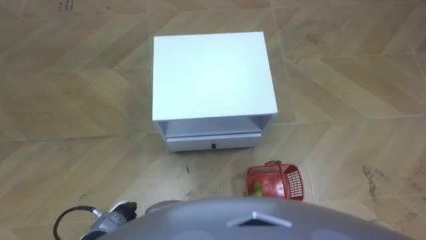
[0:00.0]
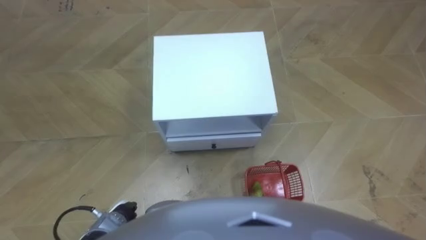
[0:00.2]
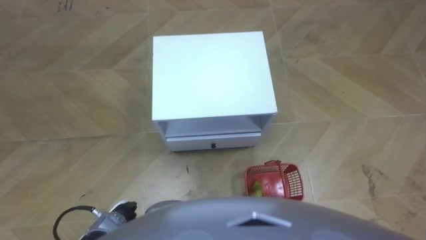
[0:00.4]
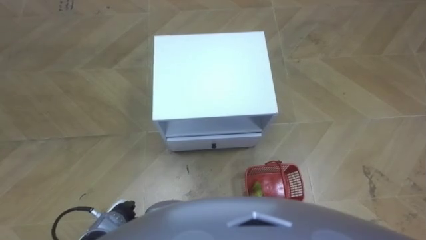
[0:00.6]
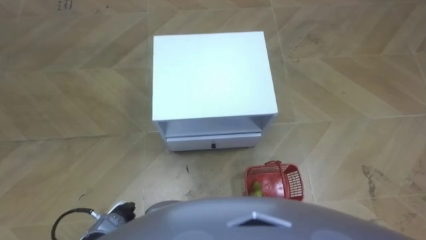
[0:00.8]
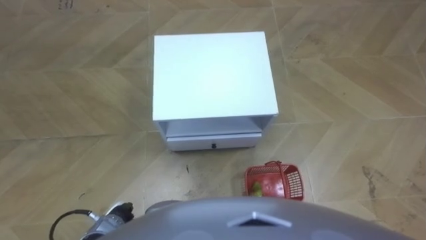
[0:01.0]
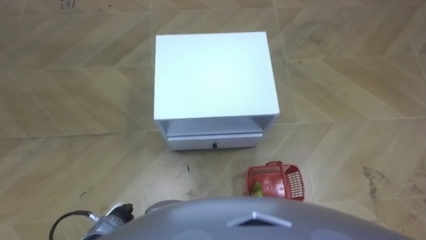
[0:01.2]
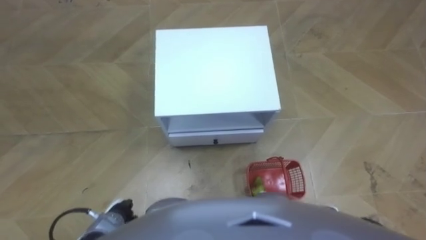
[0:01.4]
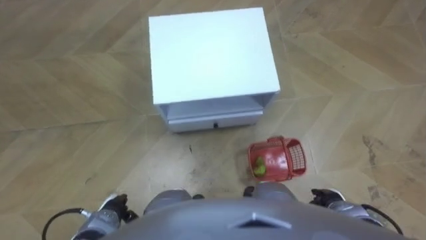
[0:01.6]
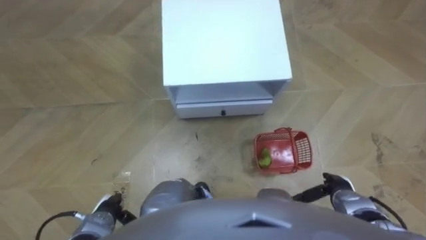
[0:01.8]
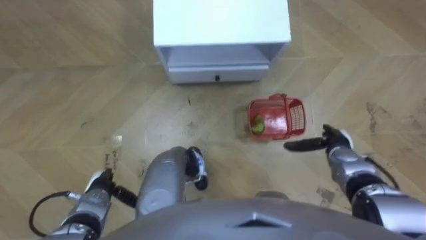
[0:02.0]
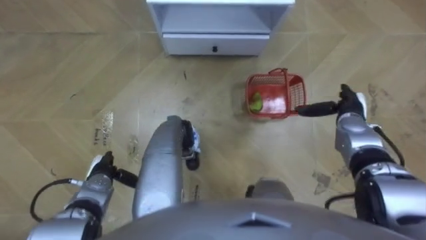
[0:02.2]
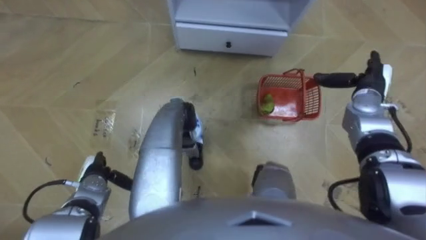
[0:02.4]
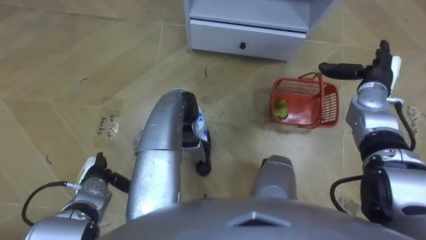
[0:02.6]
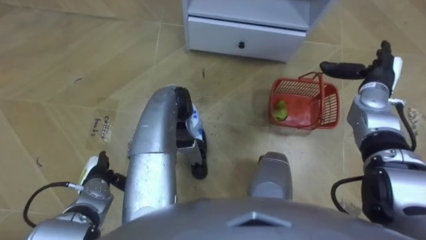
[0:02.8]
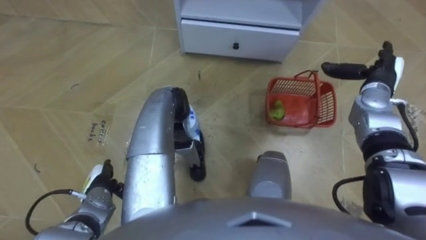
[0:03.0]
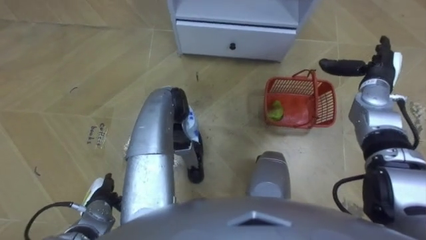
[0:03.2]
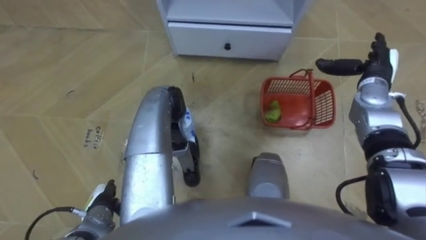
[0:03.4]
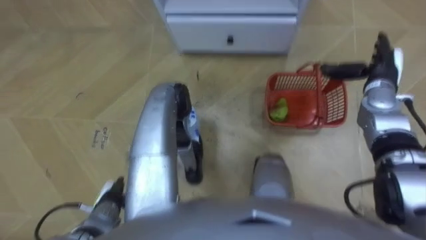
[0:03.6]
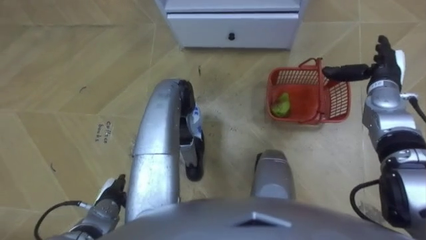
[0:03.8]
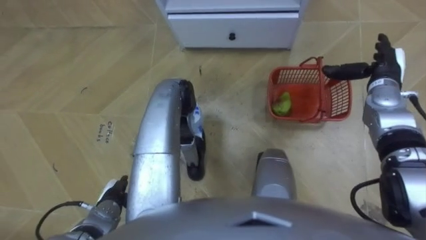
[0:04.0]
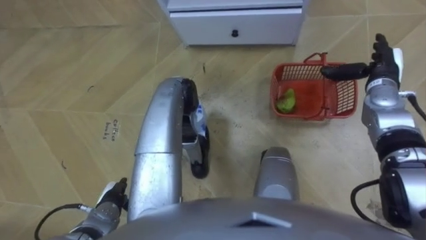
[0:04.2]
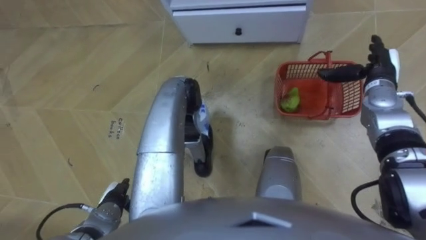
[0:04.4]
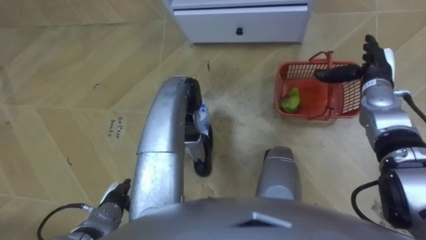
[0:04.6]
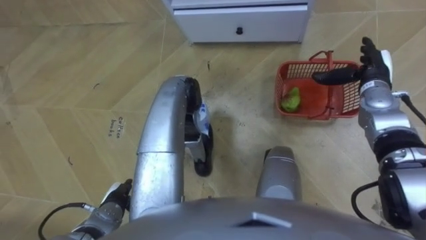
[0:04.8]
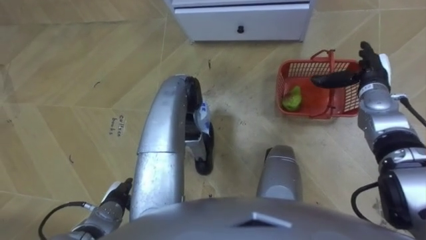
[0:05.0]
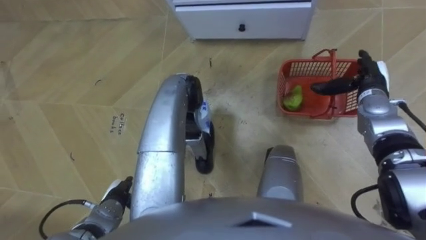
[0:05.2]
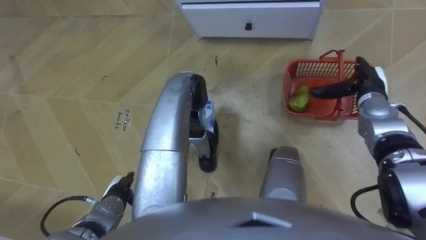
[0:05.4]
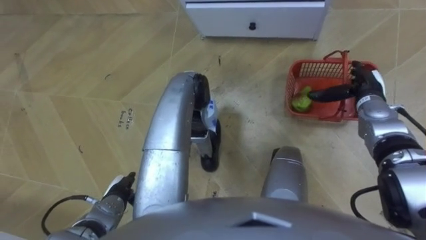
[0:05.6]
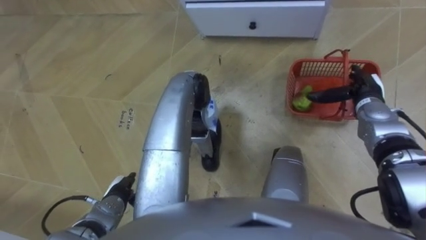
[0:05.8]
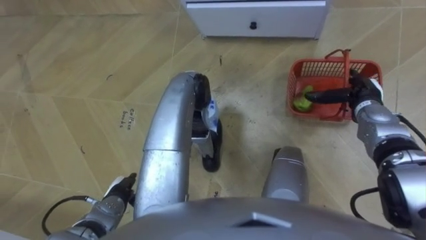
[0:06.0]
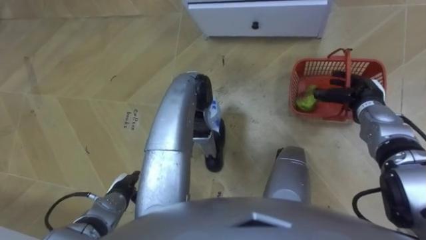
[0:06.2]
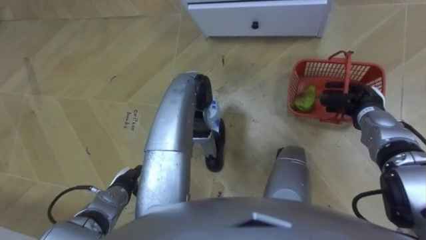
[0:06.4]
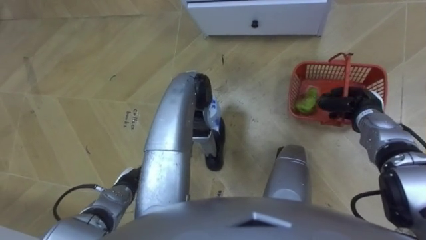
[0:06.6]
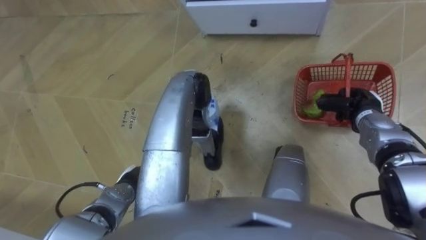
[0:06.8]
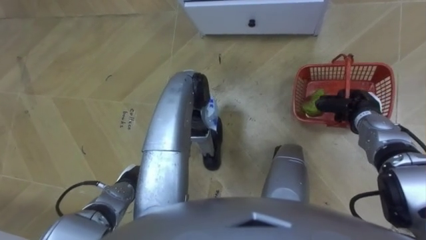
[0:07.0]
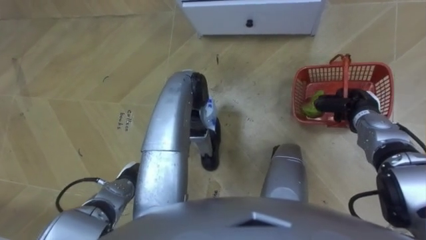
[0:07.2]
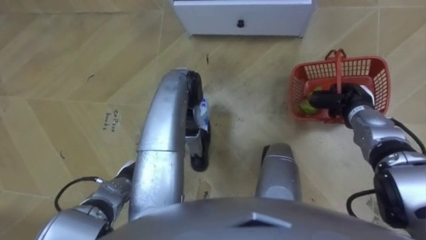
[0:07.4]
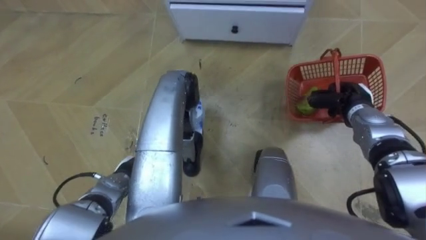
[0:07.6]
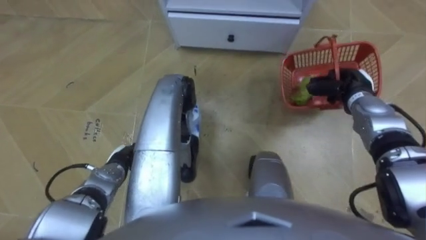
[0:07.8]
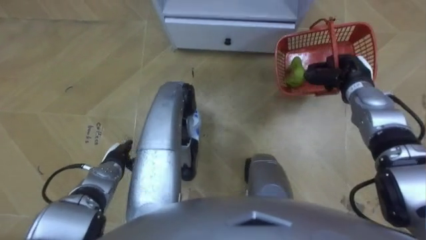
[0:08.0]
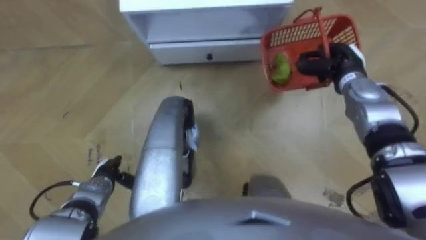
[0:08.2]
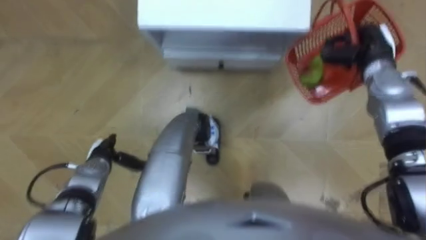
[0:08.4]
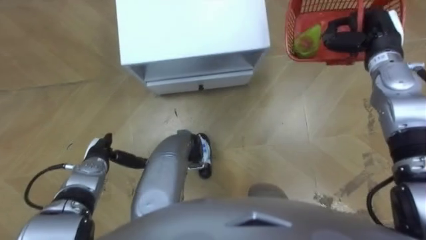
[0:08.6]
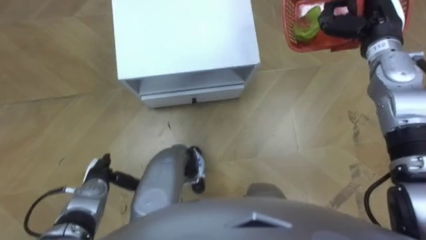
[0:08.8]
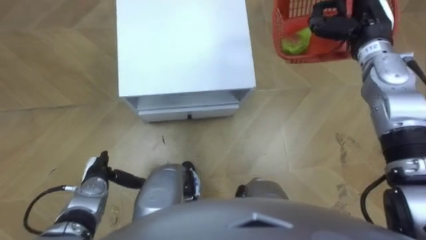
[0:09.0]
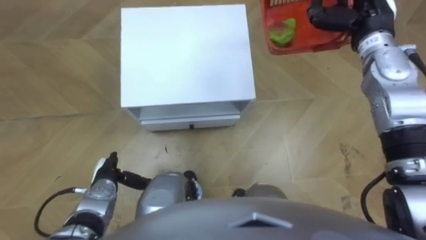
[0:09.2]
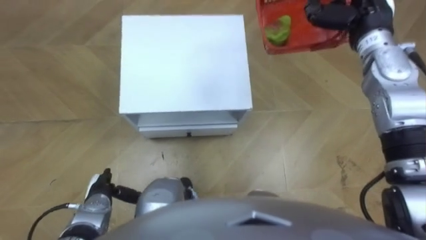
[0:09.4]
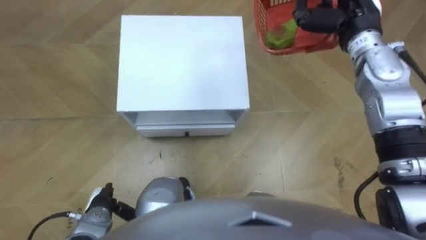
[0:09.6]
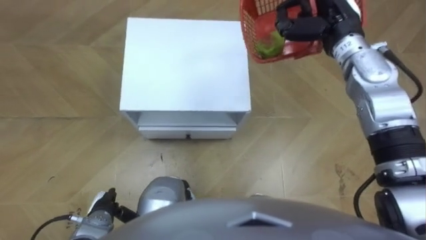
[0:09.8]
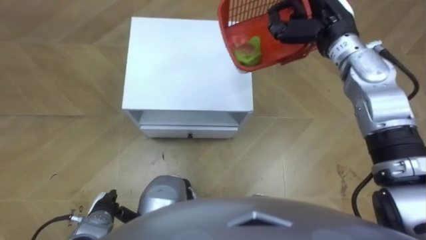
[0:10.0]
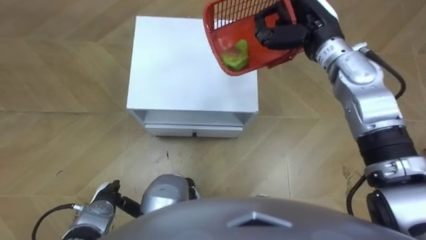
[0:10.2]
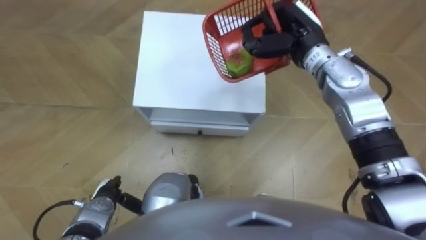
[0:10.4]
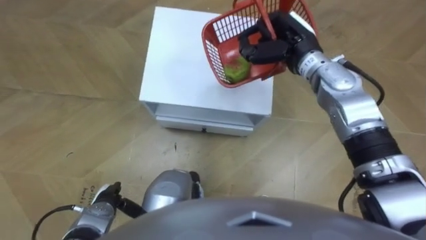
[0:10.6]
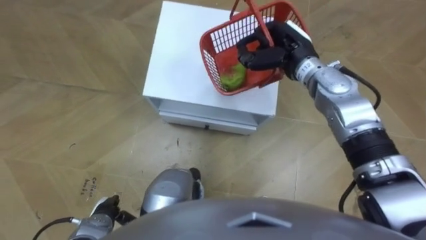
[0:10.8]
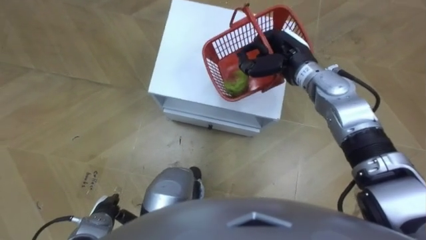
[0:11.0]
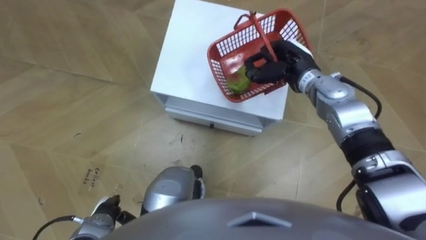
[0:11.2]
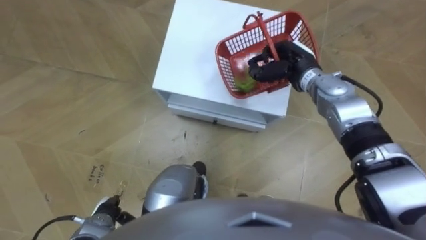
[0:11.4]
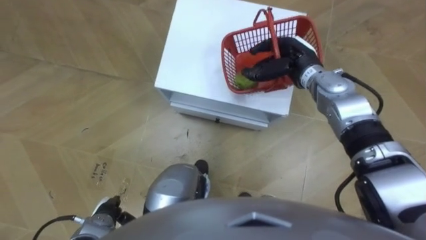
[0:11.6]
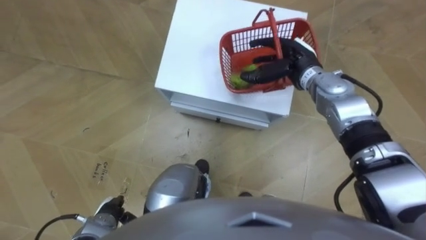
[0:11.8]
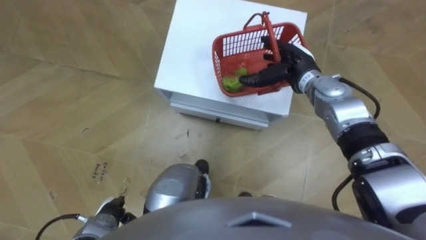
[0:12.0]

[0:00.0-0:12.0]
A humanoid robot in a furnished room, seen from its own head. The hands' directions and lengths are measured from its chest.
Task of the whole recording: Pick up the fruit basket from the floor and place it on the cabinet.
0:01.6 to 0:03.0: The robot faces roughly 15 degrees further to its left. The right hand shifts some 30 cm forward and upward; the left hand shifts roughly 5 cm forward.
0:03.0 to 0:04.4: The left hand moves roughly 5 cm.
0:04.4 to 0:06.0: The right hand ends up about 5 cm from where it was.
0:06.0 to 0:07.6: The right hand closes its fingers. The left hand is displaced forward by about 5 cm.
0:07.6 to 0:09.0: The left hand shifts roughly 5 cm to the left, while the right hand travels upward and forward by roughly 15 cm.
0:09.0 to 0:10.4: The left hand changes place by approximately 5 cm. Meanwhile the right hand heads to the left, covering some 10 cm.
0:10.4 to 0:12.0: The right hand shifts approximately 10 cm downward, and opens its fingers.

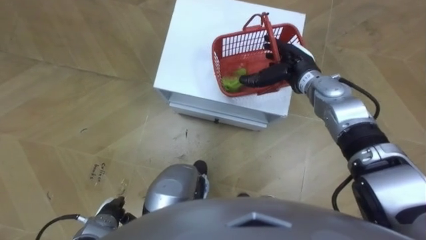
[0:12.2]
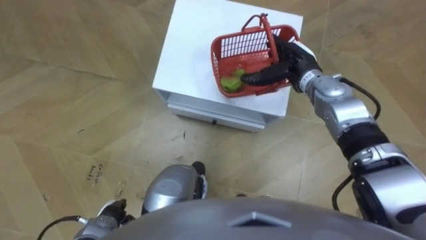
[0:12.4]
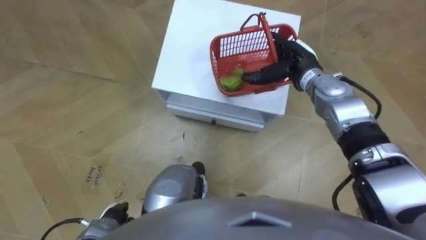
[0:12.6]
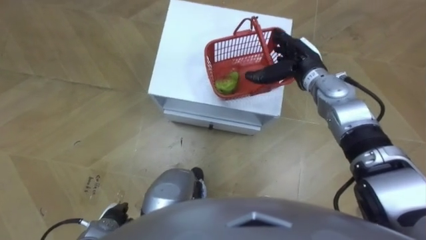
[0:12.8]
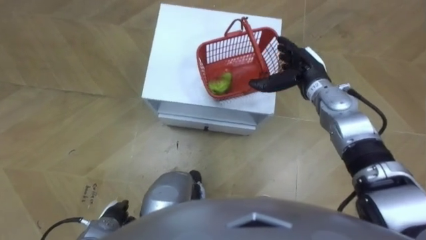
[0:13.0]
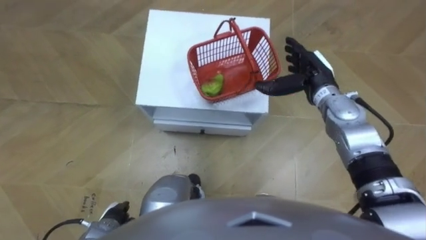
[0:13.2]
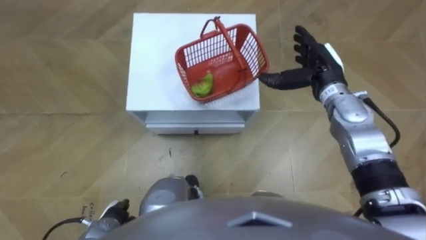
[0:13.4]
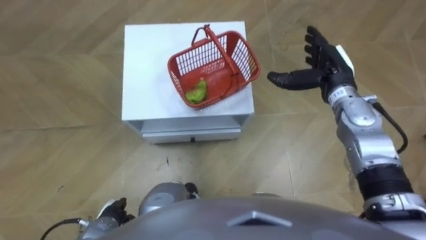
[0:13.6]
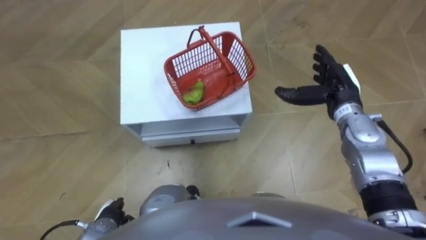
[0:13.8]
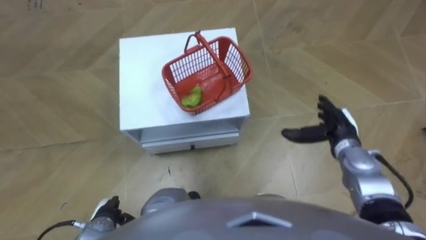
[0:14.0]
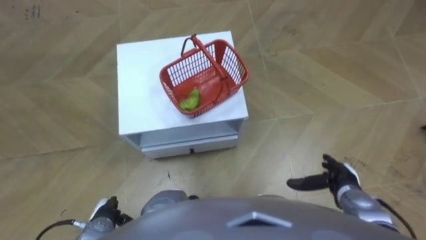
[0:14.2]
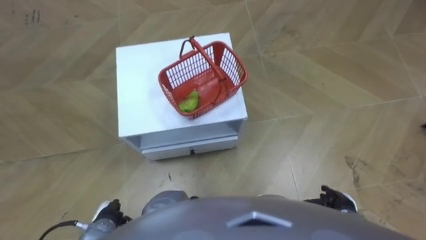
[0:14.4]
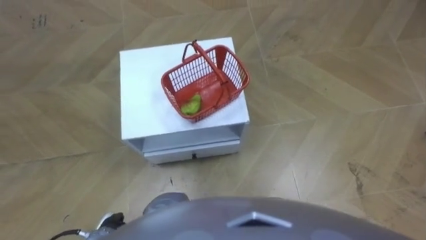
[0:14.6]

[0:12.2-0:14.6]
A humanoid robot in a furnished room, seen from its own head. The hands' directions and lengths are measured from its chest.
Task of the whole recording: Pick up the fruit basket from the floor and place it on the cabinet.
0:12.2 to 0:13.4: The right hand changes place by approximately 5 cm.
0:13.4 to 0:14.6: The right hand heads backward and downward, covering roughly 35 cm.

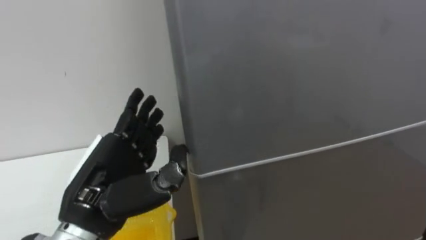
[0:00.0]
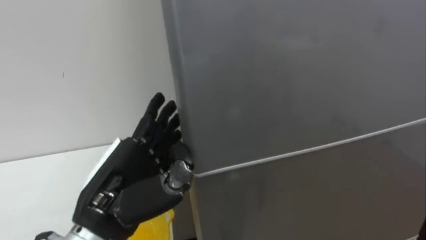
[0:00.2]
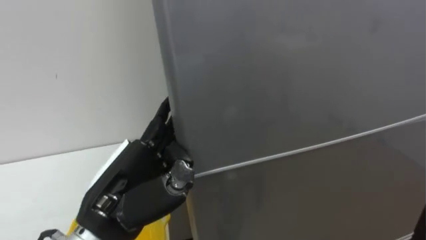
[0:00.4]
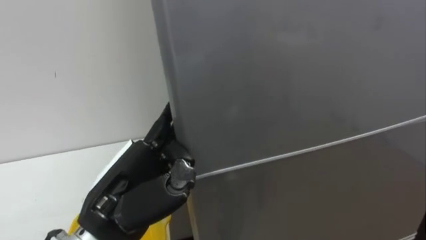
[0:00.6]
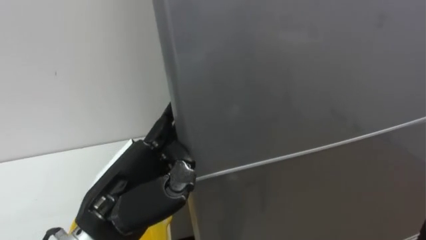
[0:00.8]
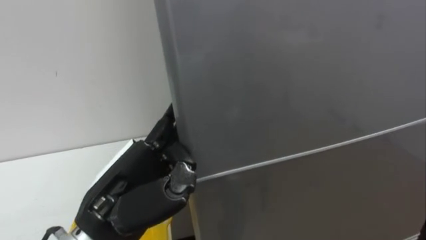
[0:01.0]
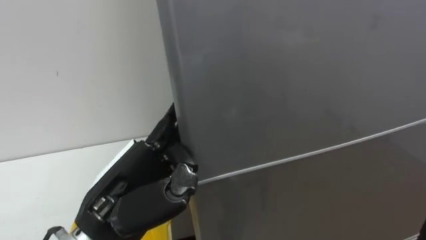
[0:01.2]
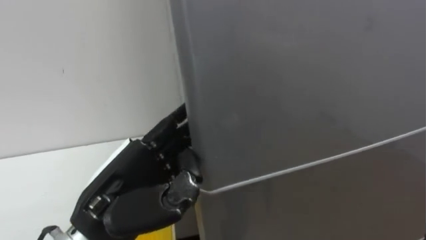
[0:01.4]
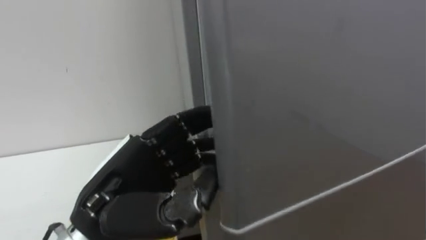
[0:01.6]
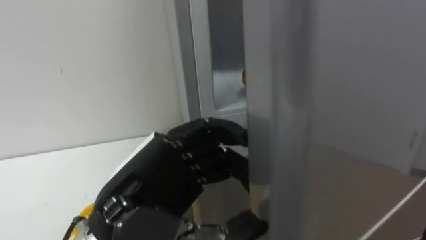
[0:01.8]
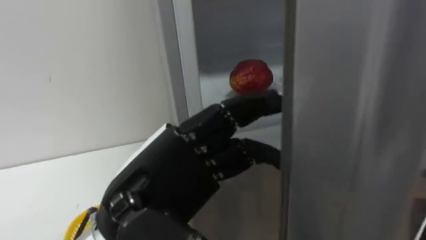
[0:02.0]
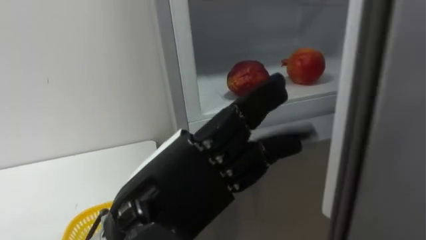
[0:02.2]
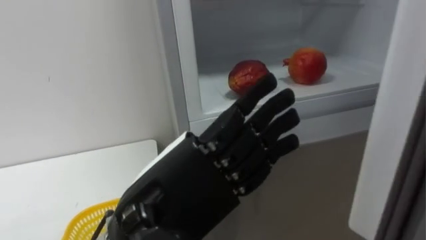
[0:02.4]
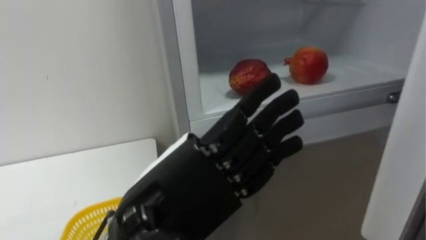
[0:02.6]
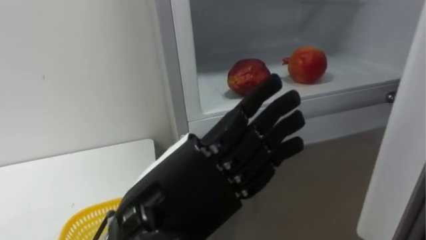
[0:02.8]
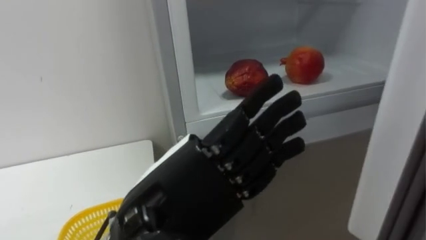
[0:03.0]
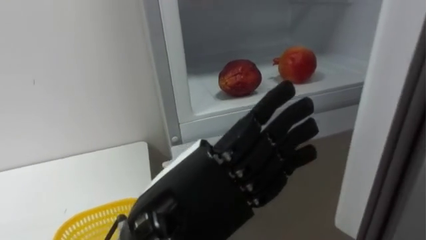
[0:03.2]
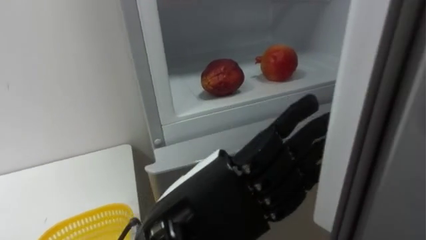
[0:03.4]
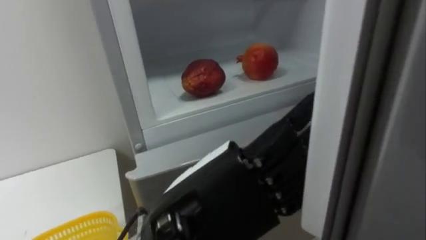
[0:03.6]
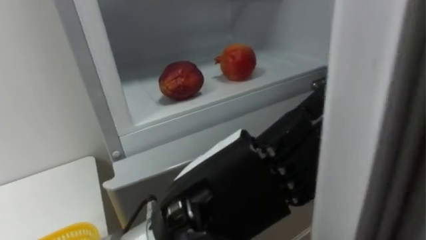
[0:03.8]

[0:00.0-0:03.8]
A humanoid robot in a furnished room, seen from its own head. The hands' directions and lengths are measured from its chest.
Task of the whole recording: Open the refrigerator door, take out the apple and the pomegranate, place them in the fruit basket on the left, and close the refrigerator door.
0:01.2 to 0:02.6: The left hand travels to the right by roughly 5 cm, and closes, then opens again.
